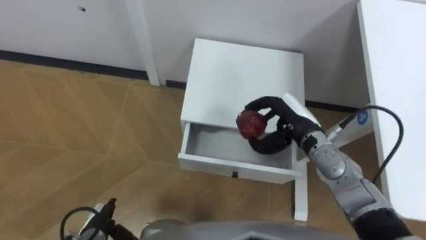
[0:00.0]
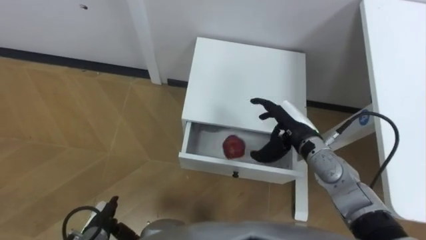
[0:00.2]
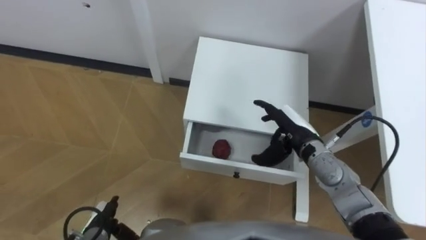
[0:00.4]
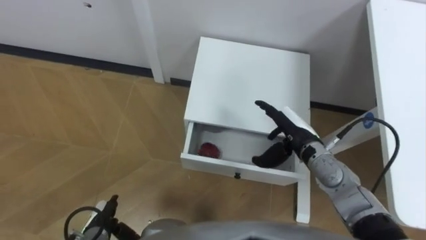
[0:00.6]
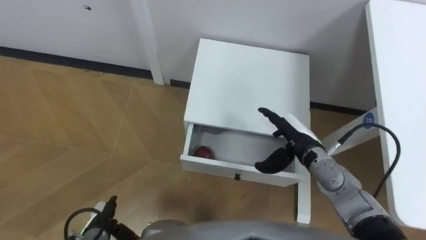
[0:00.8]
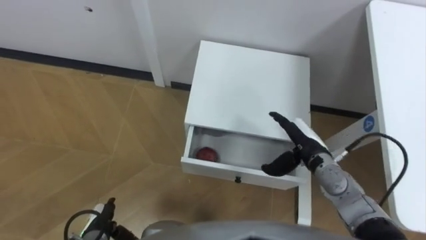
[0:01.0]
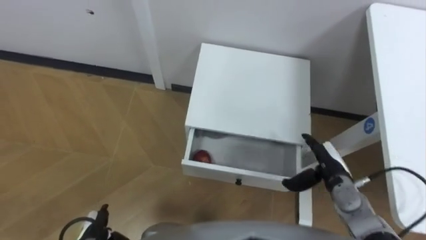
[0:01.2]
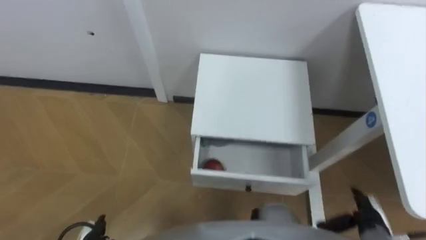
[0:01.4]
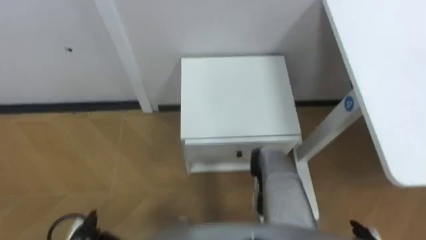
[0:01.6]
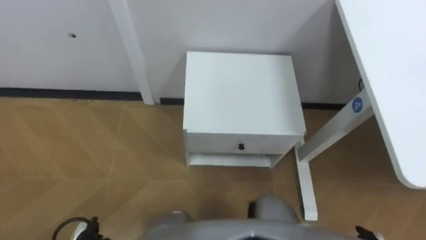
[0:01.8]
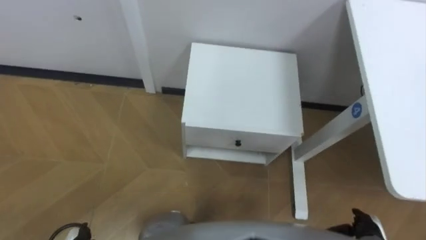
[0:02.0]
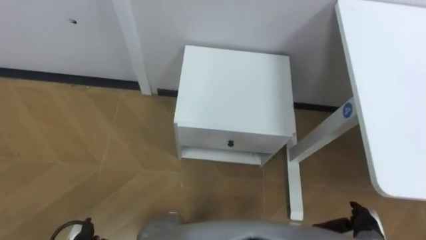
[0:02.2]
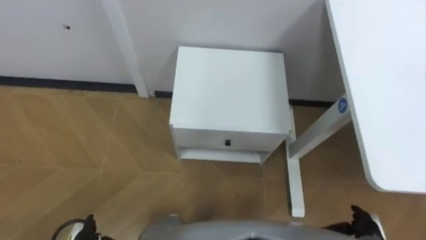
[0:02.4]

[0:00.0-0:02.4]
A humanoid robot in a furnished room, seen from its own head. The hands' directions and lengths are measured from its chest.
Task of the whole recording: Pick up the apple from the table, put it in the drawer, and close the drawer with leg.
0:00.0 to 0:01.2: The right hand goes about 15 cm downward, to the right and backward, and opens up.

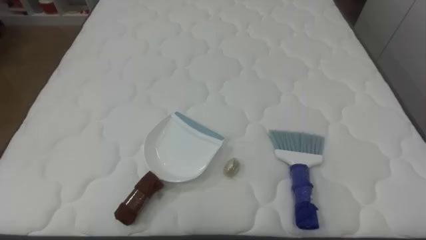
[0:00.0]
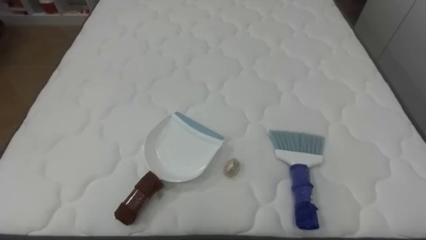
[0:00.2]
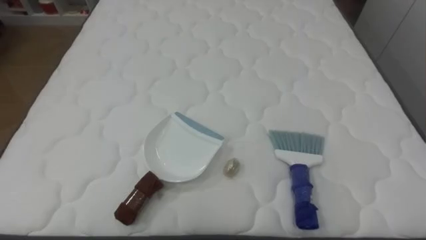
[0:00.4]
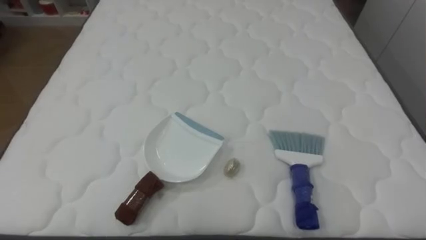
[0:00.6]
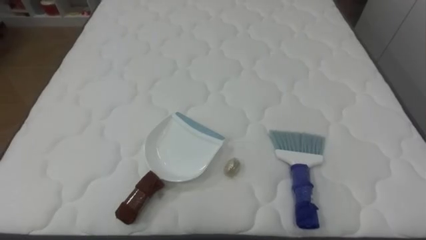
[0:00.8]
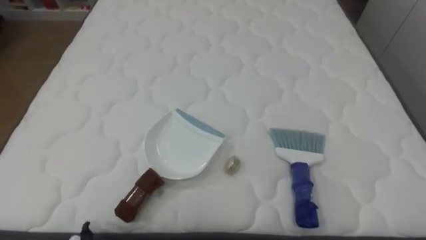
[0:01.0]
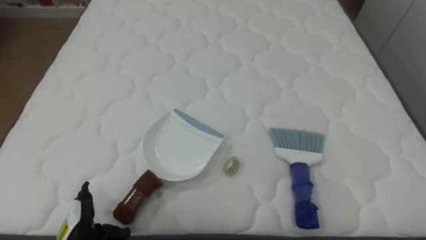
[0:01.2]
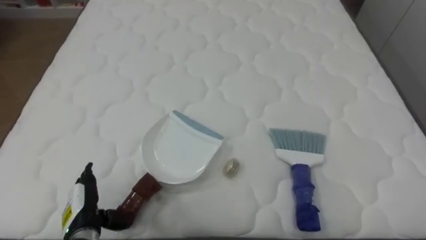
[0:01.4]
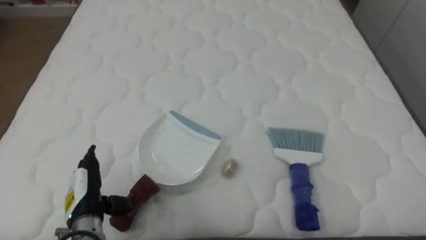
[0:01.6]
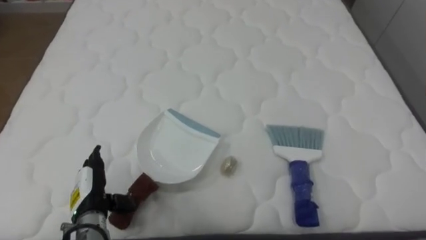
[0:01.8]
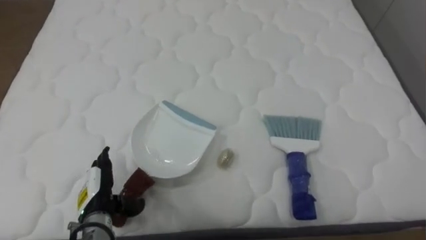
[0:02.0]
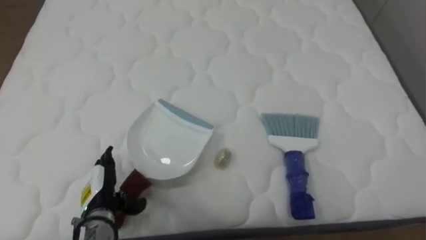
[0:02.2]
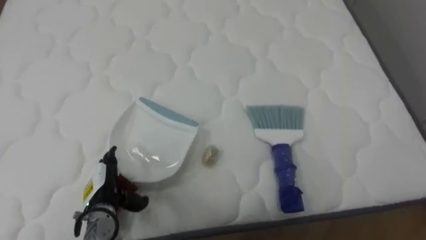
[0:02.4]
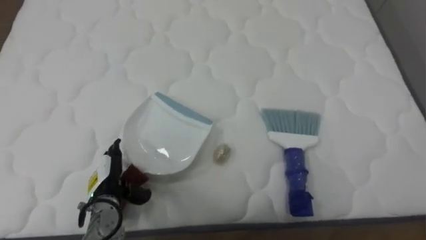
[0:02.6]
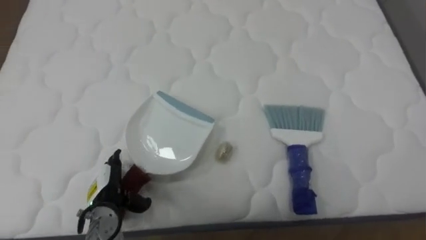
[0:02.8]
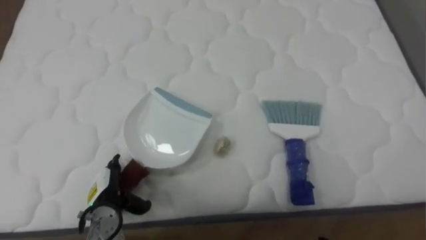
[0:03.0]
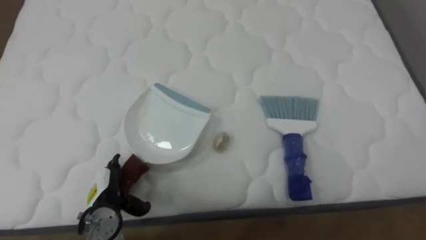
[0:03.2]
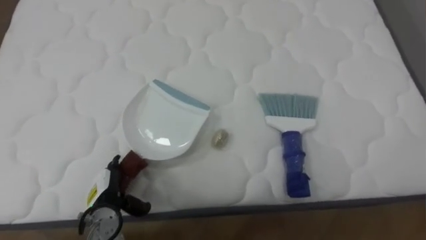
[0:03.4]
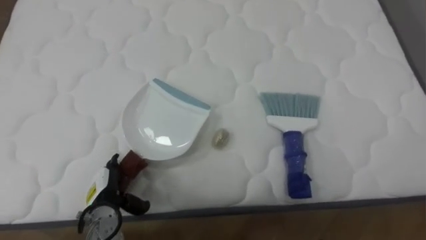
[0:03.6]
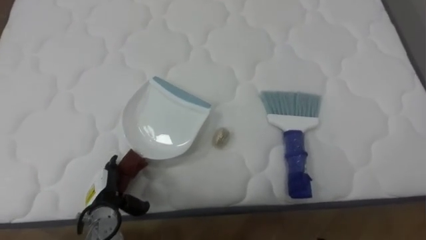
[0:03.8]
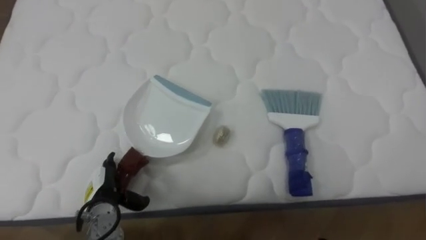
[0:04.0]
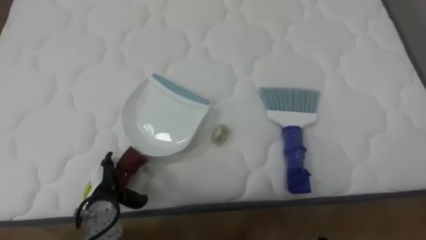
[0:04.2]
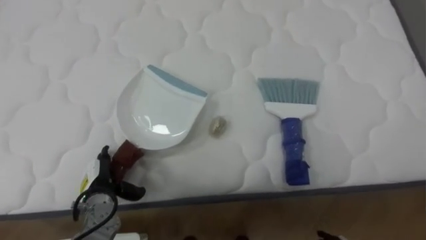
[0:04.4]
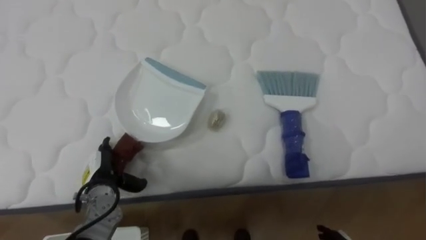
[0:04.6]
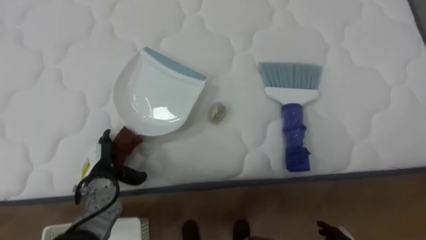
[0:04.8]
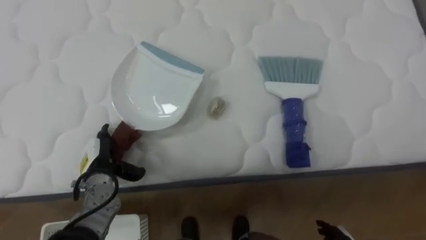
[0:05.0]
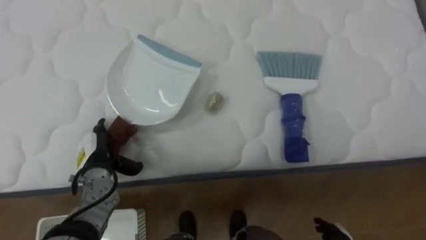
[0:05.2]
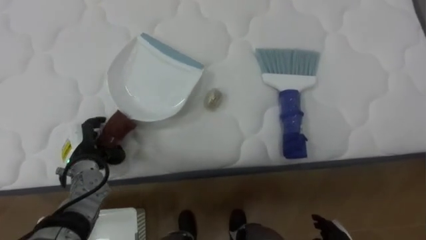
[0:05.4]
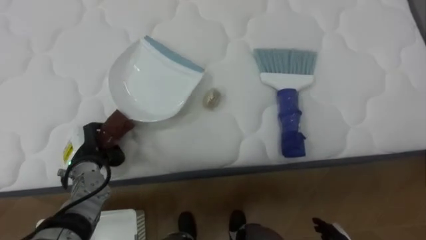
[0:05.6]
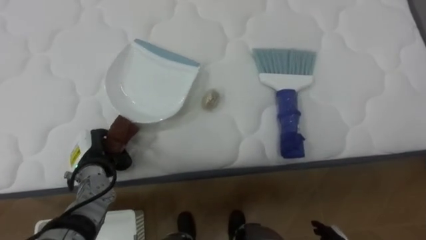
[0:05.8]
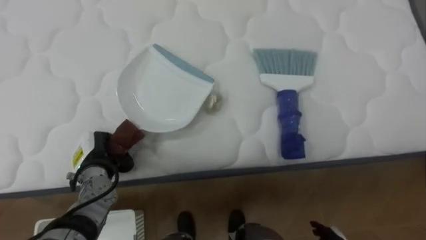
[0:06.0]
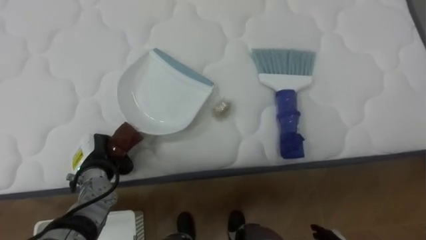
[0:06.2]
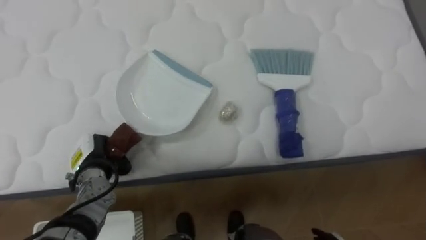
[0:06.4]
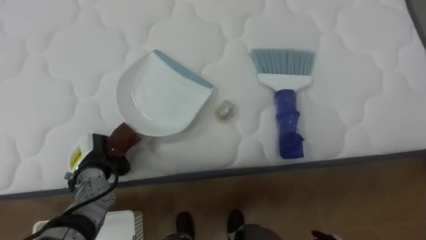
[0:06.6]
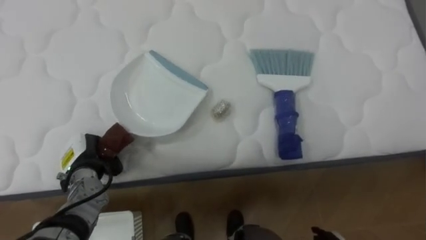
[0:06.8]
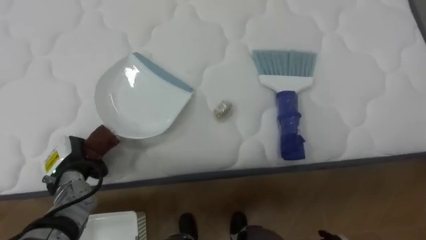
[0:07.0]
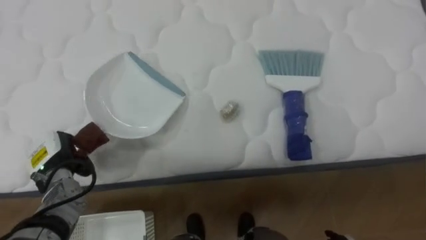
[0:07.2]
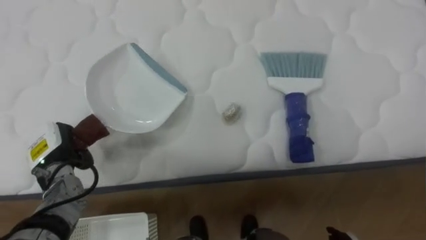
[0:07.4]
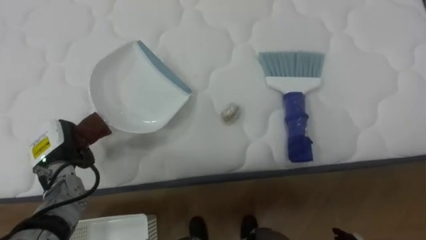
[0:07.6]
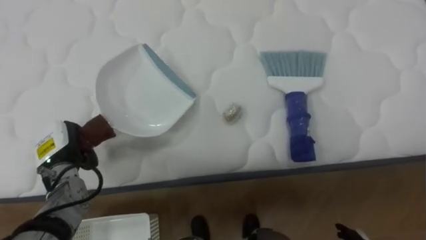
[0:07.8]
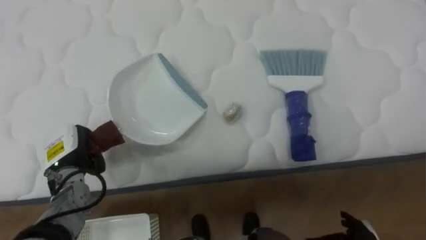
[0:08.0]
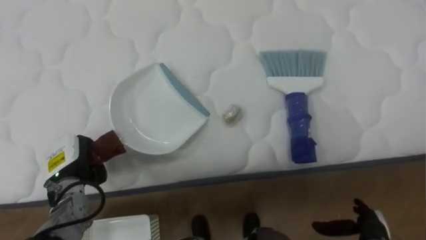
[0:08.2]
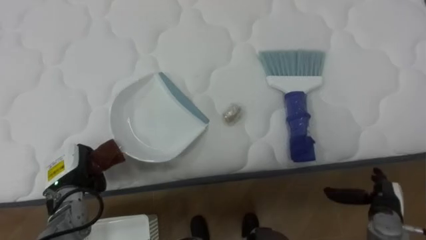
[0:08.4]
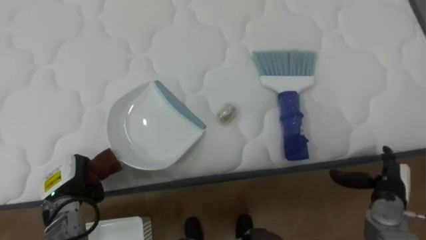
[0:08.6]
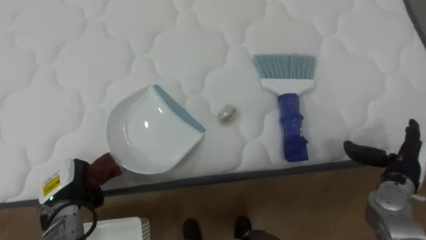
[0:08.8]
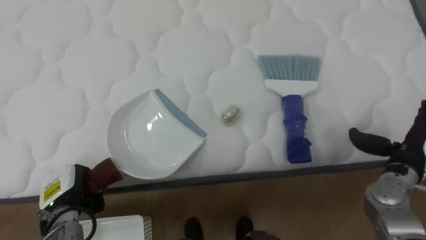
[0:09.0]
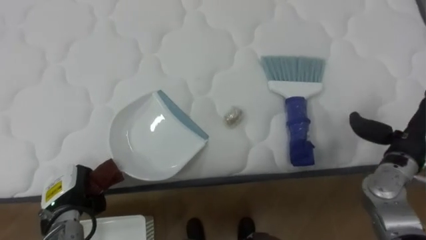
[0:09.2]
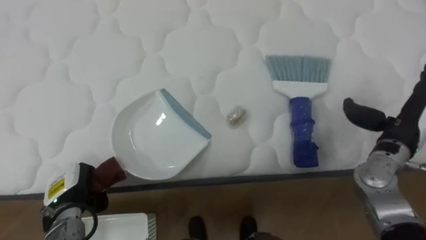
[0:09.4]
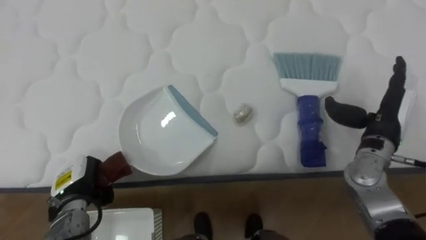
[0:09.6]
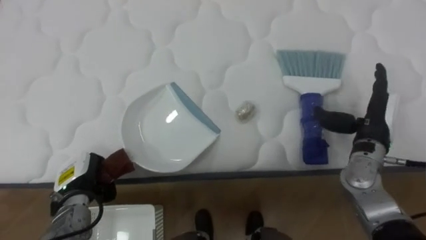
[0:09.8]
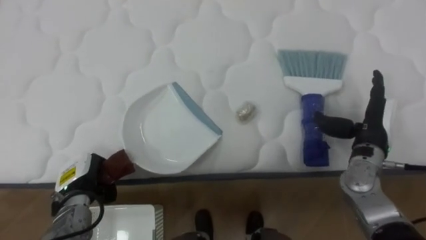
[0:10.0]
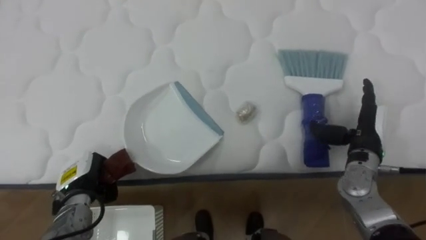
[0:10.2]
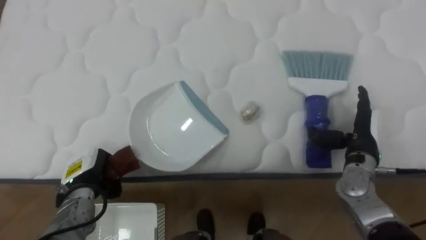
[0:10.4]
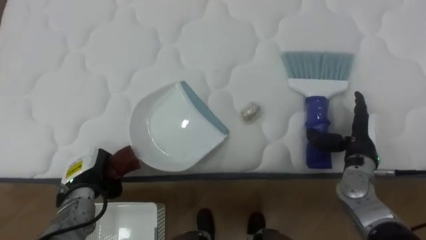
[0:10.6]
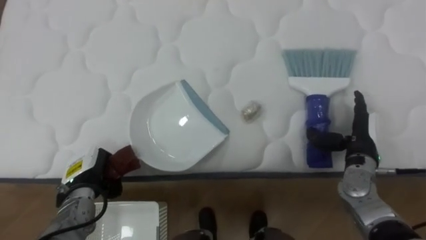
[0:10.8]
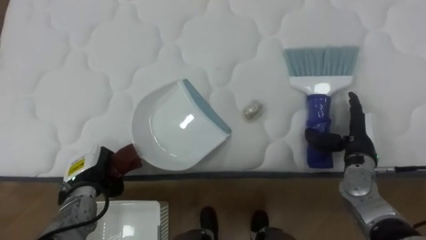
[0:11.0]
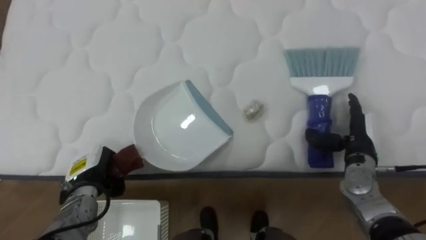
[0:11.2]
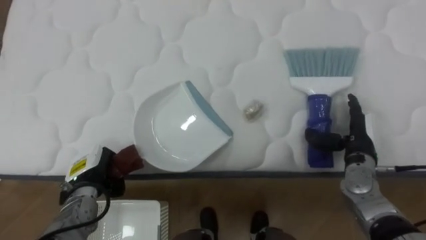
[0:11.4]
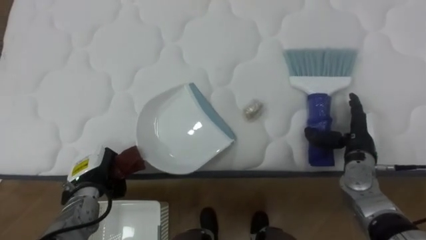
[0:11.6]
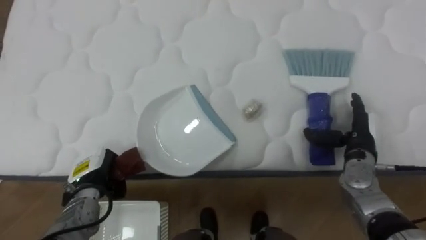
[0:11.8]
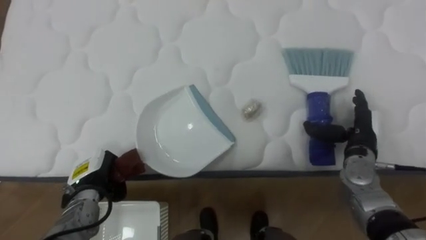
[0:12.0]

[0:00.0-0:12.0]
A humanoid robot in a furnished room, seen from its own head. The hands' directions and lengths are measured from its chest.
Task of the whole recording: Pick up the brush on your right and the dustpan on your left. Use the brush to sweep the crumpled paper on the bed into the dustpan, then turn left and empty it into the basket.
0:01.6 to 0:03.0: The left hand shifts by roughly 5 cm.
0:04.4 to 0:06.0: The left hand moves approximately 5 cm, and closes.
0:06.0 to 0:07.6: The left hand is displaced to the left by some 5 cm.
0:07.6 to 0:09.0: The left hand shifts roughly 10 cm backward and downward.
0:09.0 to 0:10.4: The right hand heads to the left, covering roughly 5 cm. The left hand shifts by approximately 5 cm.
0:10.4 to 0:12.0: The hands move only a little.

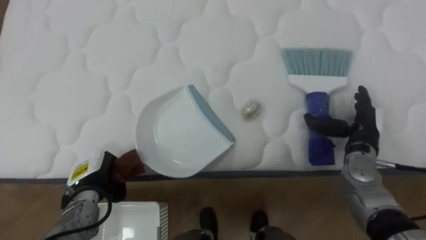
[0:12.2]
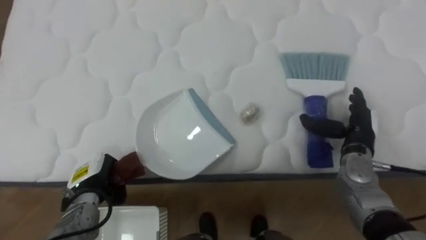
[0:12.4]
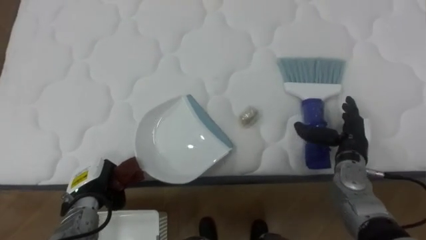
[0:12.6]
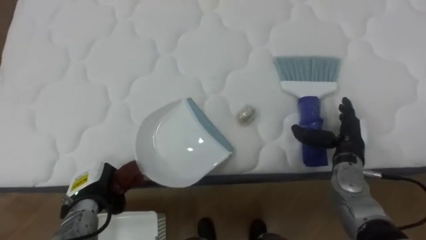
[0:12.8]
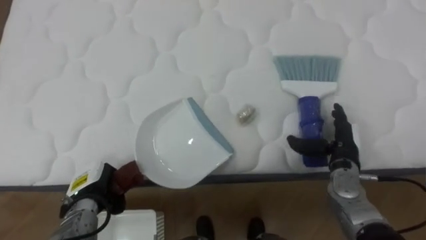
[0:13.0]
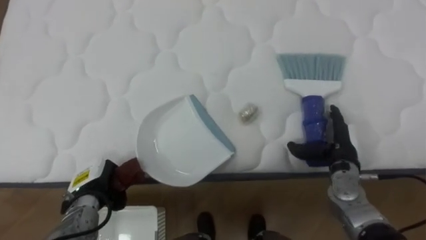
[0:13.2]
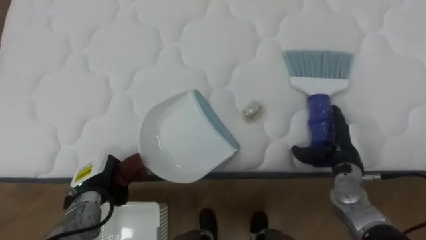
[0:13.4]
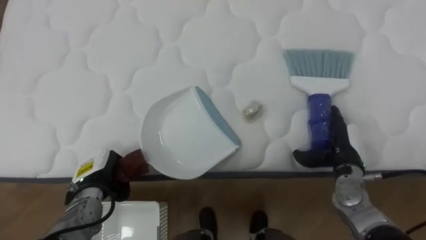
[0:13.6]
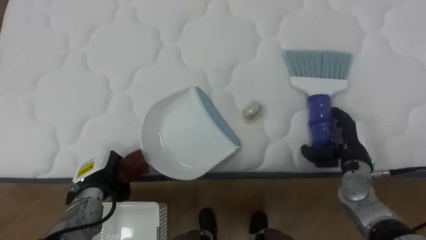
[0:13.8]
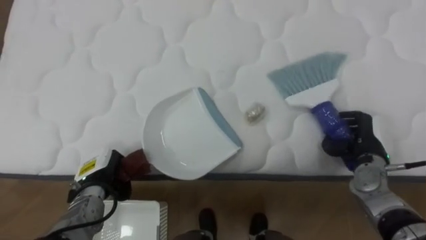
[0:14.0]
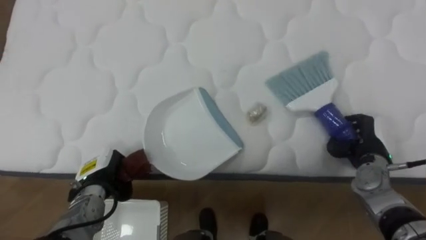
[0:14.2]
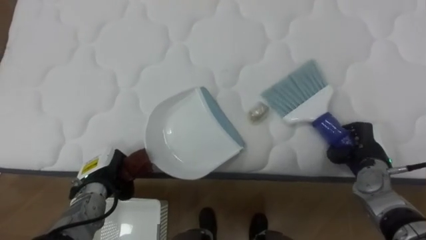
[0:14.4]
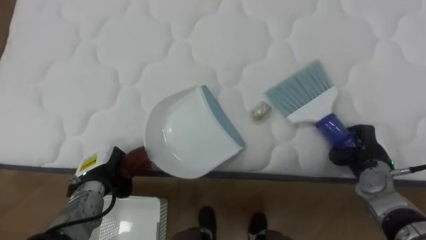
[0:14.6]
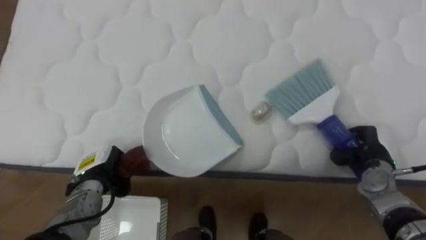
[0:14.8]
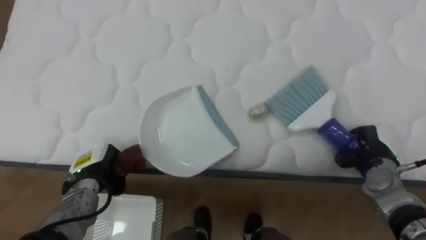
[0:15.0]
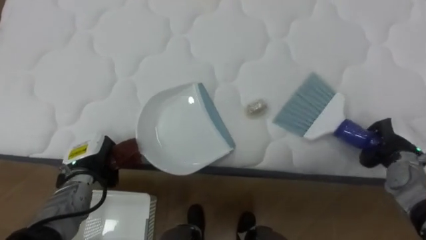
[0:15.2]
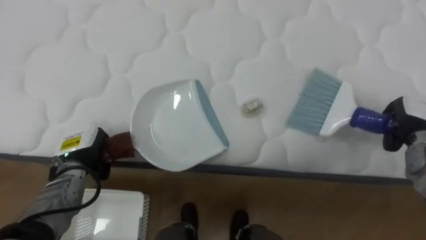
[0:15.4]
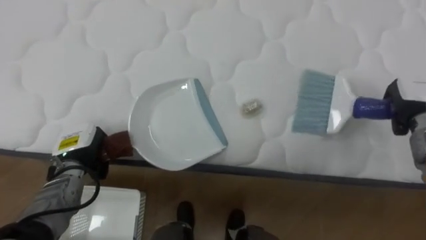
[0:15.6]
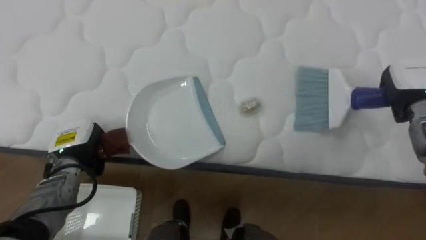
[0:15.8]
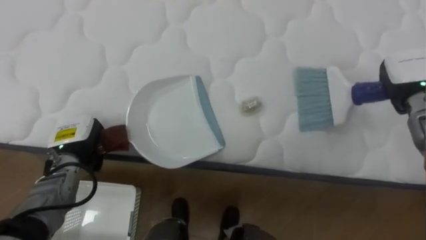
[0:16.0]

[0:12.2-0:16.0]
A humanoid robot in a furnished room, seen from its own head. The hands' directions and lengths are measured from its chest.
Task of the whole recording: Pick up the brush on your right and the dustpan on your left. Use the brush to sweep the crumpled paper on the bed into the dustpan, then turn left and empty it into the basket.
0:12.2 to 0:13.4: The right hand ends up about 5 cm from where it was.
0:13.4 to 0:14.8: The right hand heads to the right, covering roughly 5 cm, and closes.
0:14.8 to 0:16.0: The left hand shifts approximately 5 cm upward. The right hand shifts roughly 15 cm upward and forward.
